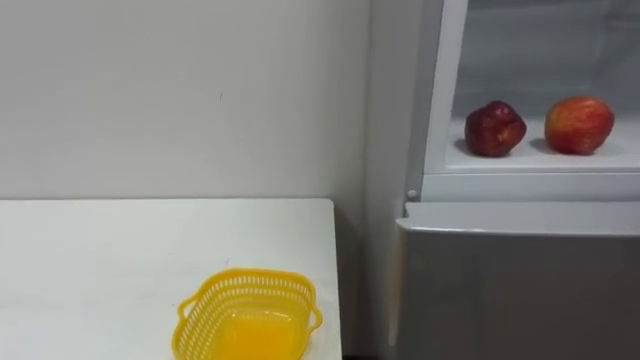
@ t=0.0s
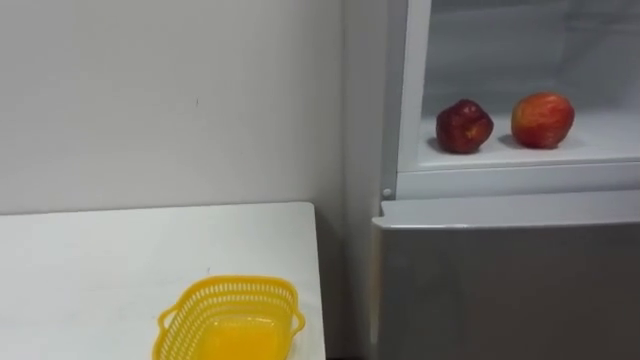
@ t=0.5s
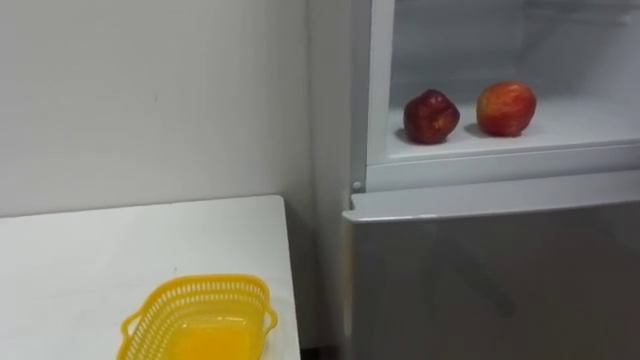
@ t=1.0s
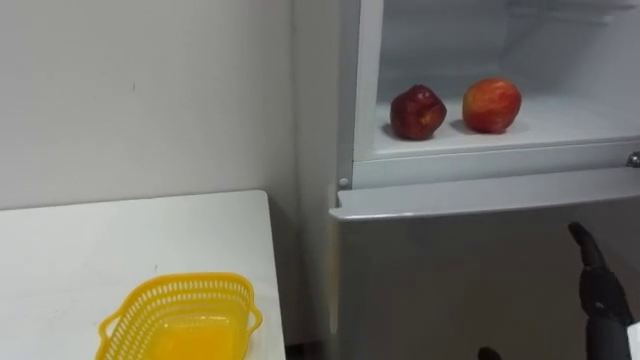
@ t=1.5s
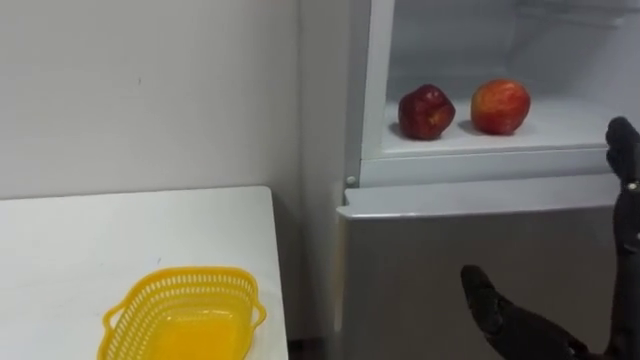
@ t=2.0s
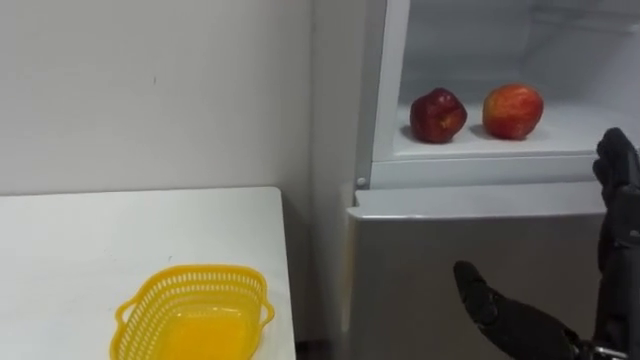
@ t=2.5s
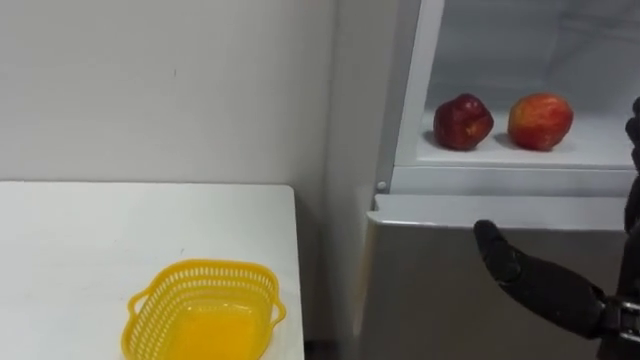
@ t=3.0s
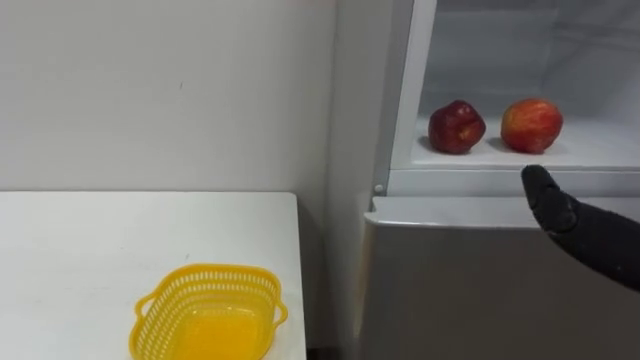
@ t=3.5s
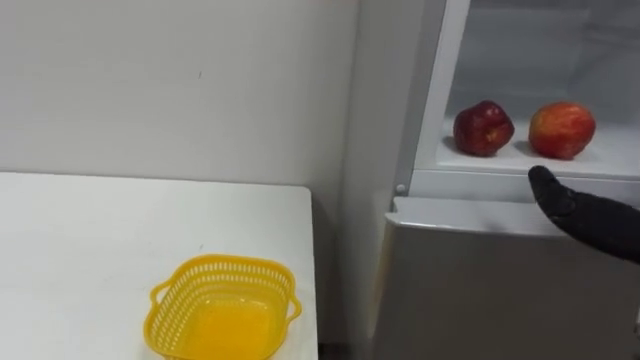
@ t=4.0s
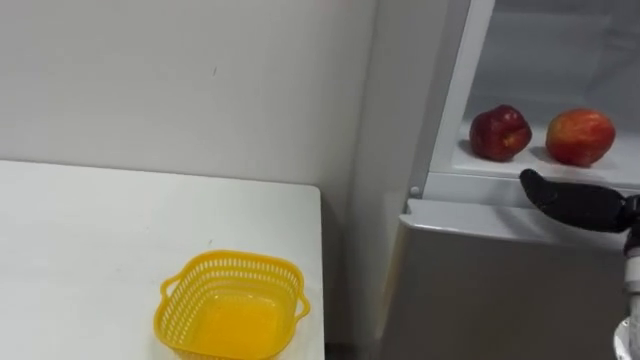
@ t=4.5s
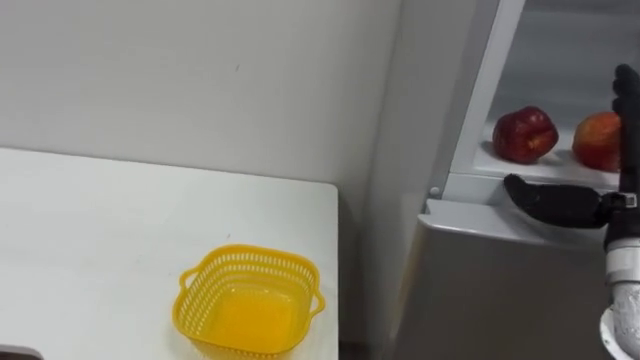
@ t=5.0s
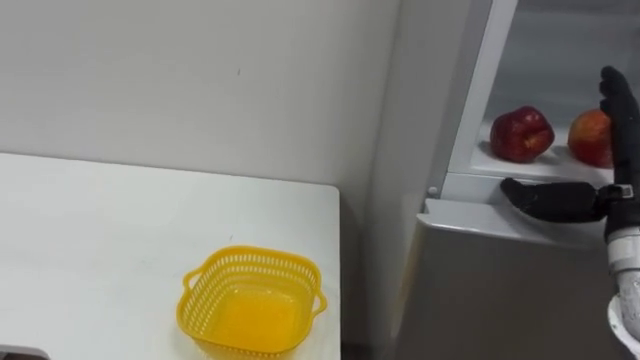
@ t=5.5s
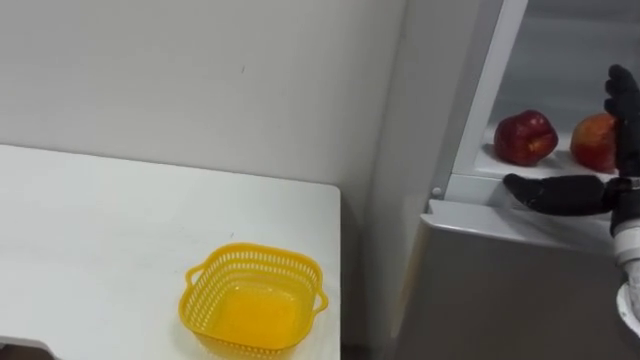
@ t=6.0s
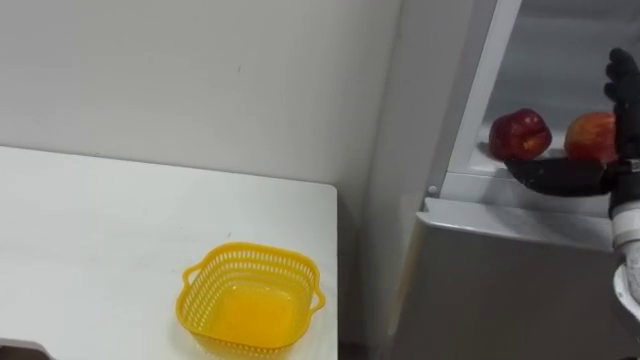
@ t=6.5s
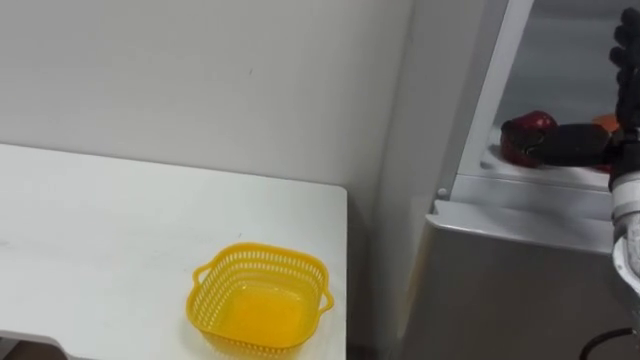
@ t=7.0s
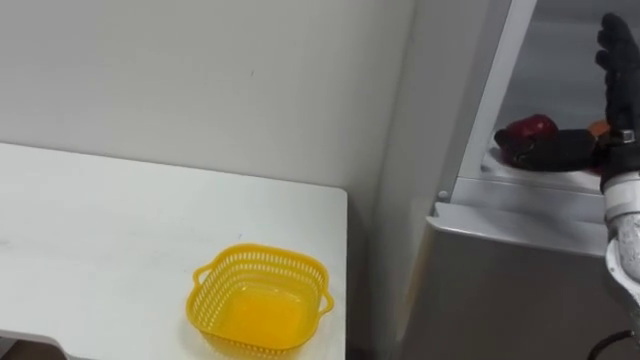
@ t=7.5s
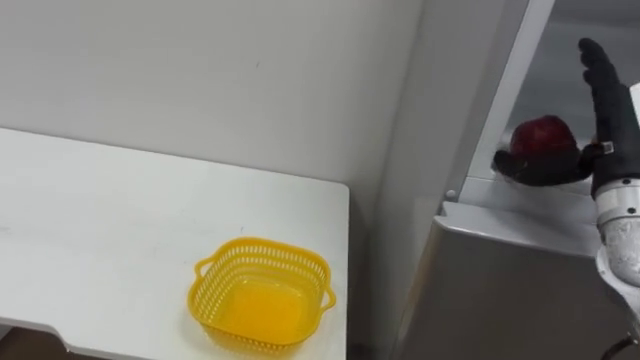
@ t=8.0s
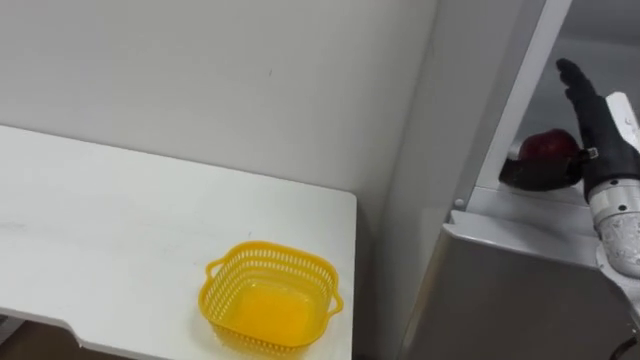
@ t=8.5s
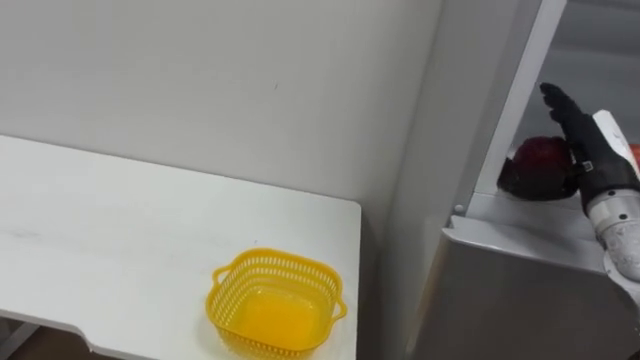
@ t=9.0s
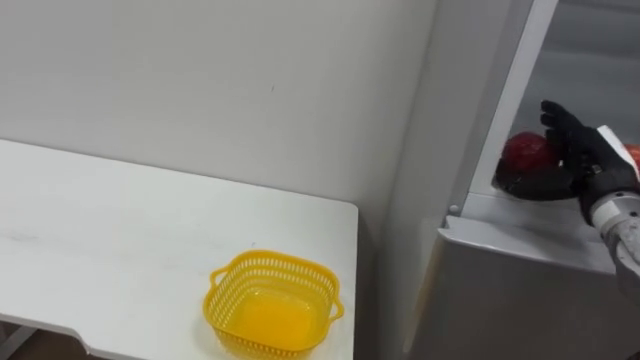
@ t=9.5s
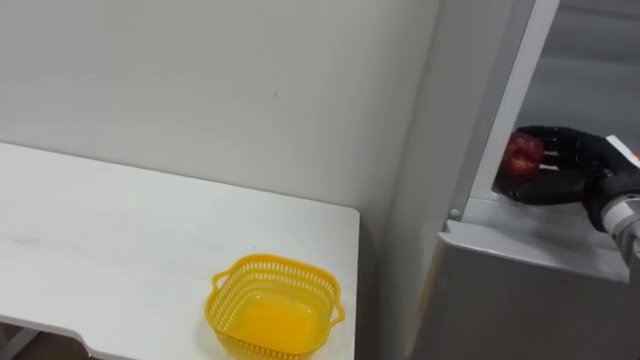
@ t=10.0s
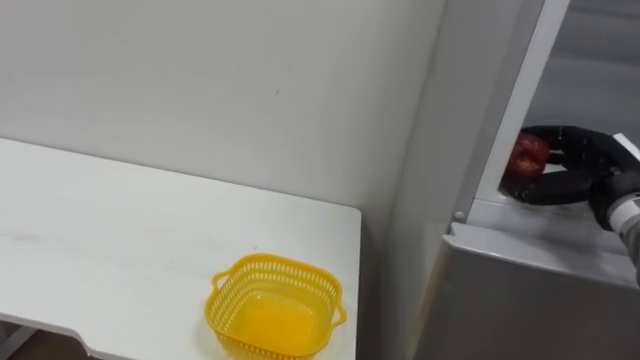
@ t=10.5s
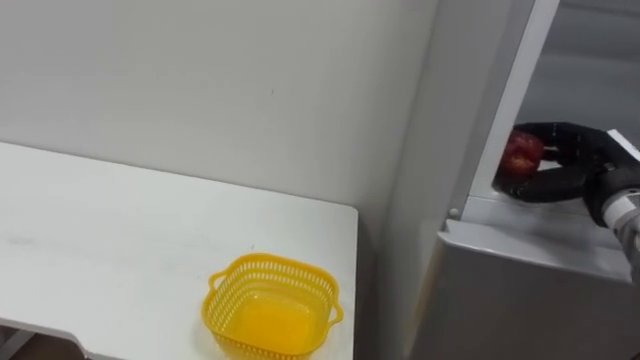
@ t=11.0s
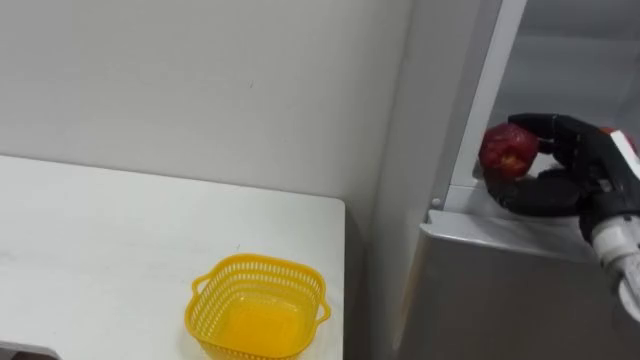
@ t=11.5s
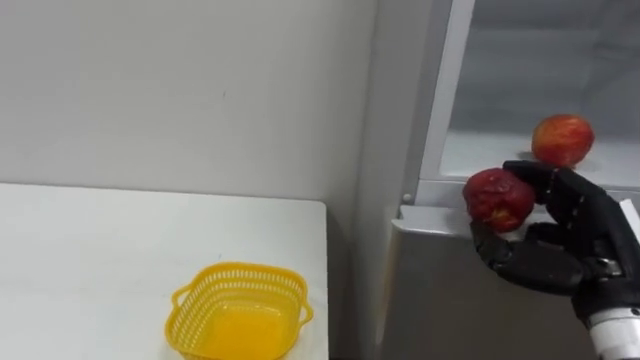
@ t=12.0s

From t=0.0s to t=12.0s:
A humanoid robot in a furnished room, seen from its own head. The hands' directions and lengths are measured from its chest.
Task of the whole recording: Open the refrigerator door, take out the apple and the pomegranate, place them in the fruit basket on the left, and close the refrigerator door.
From t=8.0s to t=10.0s: The right hand moves downward, about 5 cm.
From t=10.0s to t=12.0s: The right hand moves backward and to the left, approximately 15 cm.

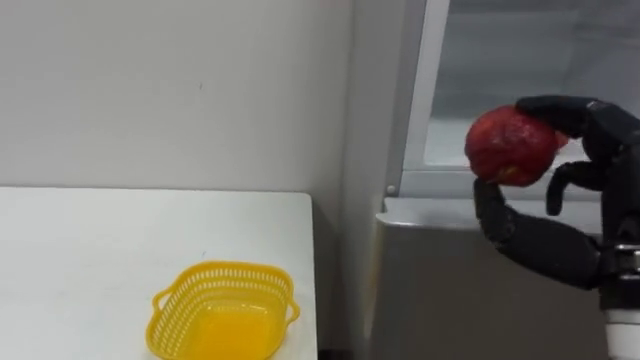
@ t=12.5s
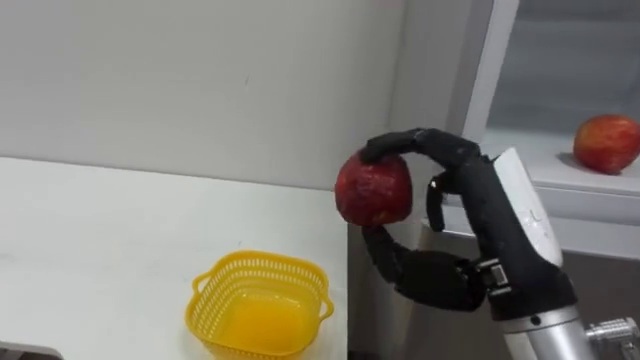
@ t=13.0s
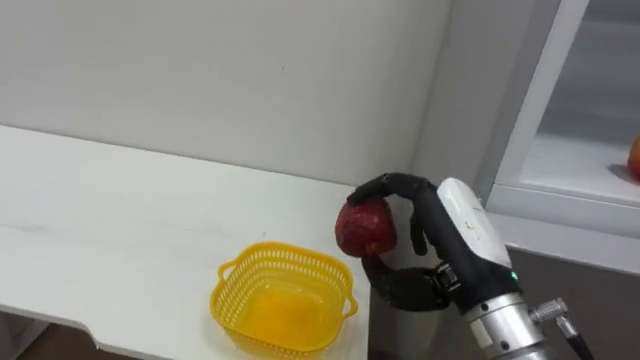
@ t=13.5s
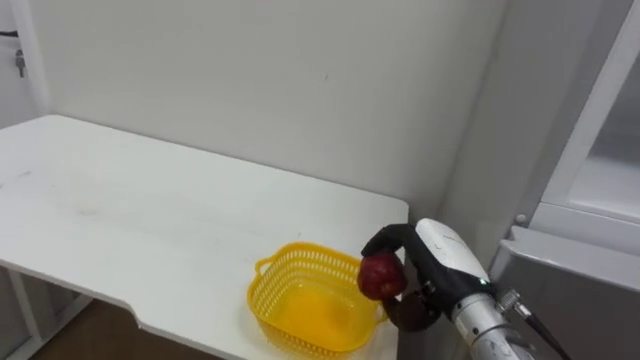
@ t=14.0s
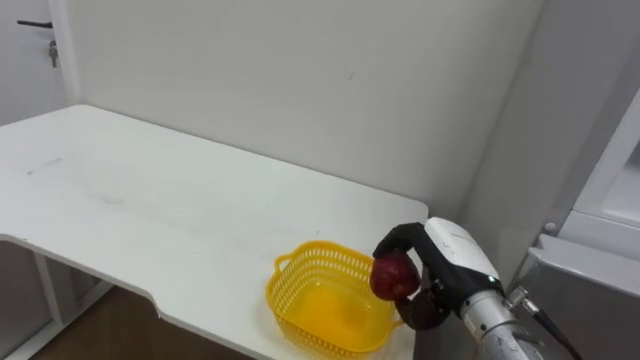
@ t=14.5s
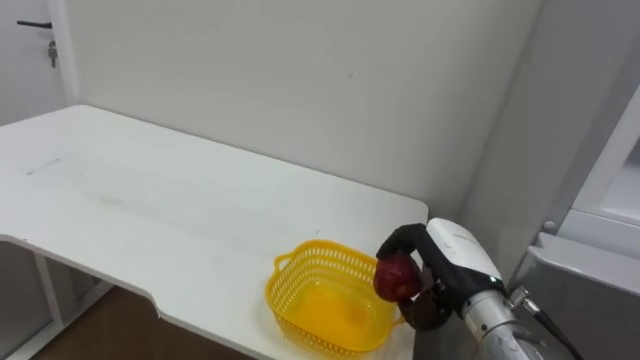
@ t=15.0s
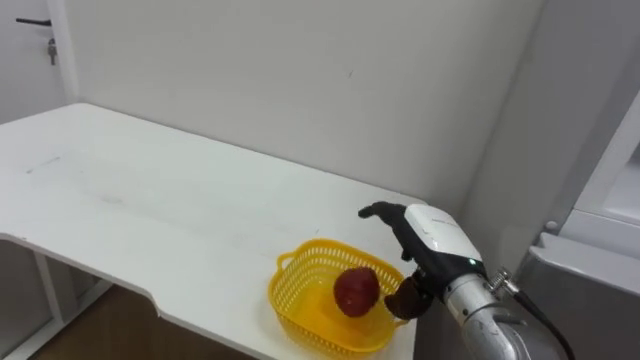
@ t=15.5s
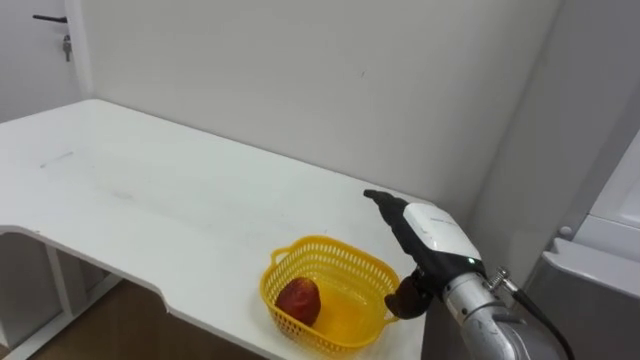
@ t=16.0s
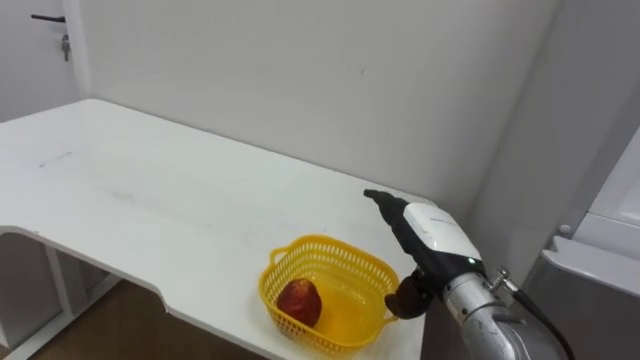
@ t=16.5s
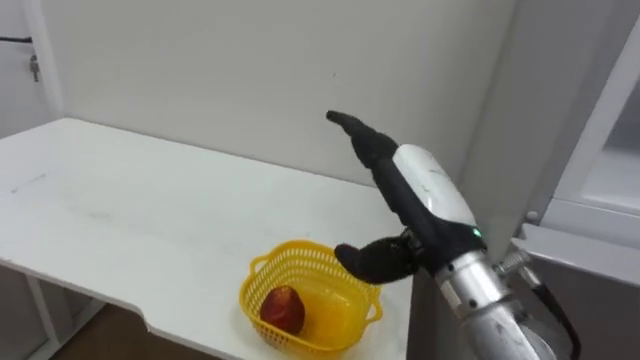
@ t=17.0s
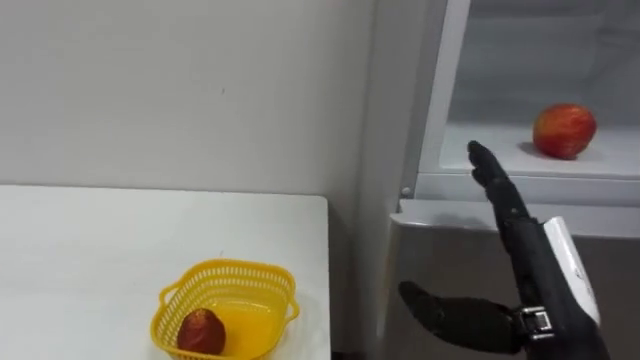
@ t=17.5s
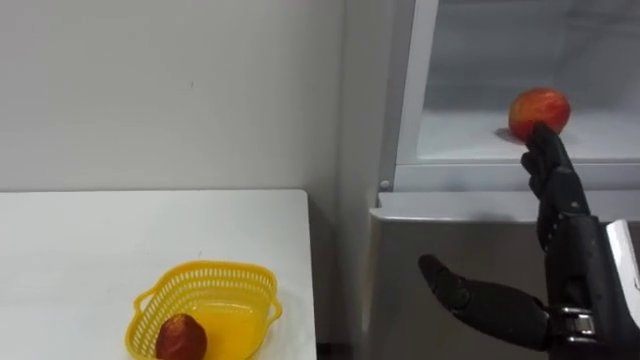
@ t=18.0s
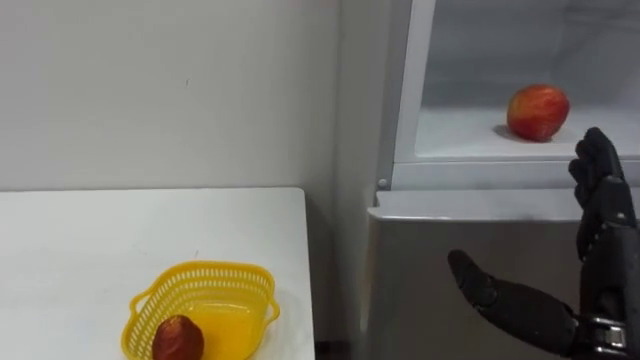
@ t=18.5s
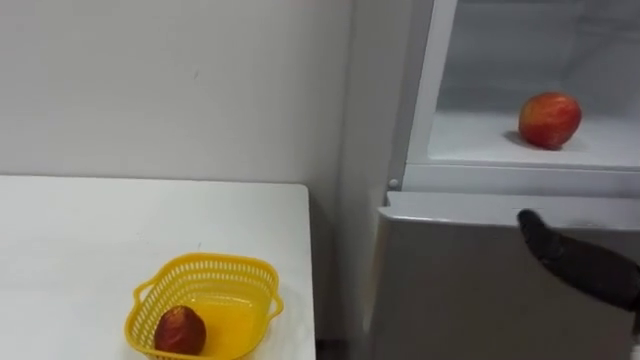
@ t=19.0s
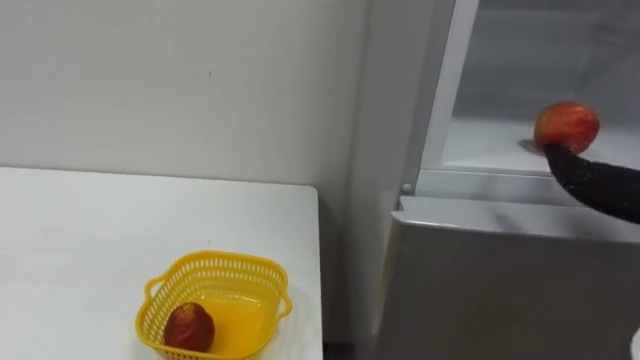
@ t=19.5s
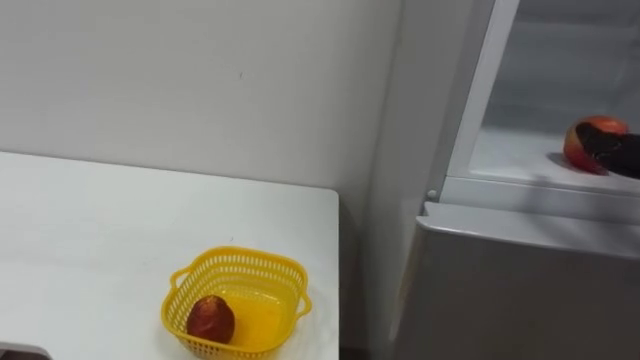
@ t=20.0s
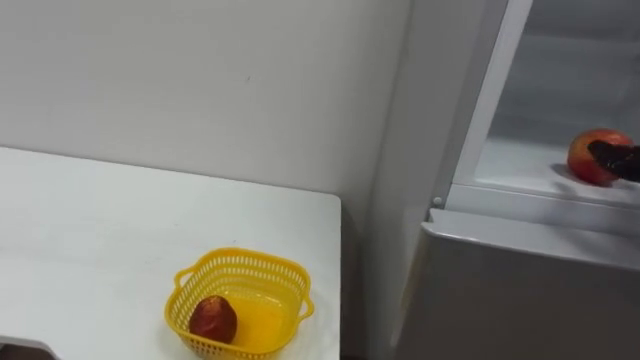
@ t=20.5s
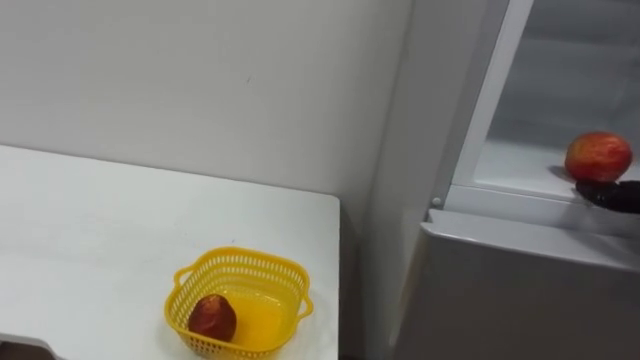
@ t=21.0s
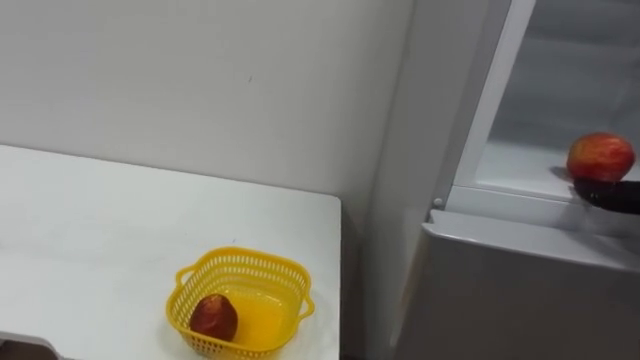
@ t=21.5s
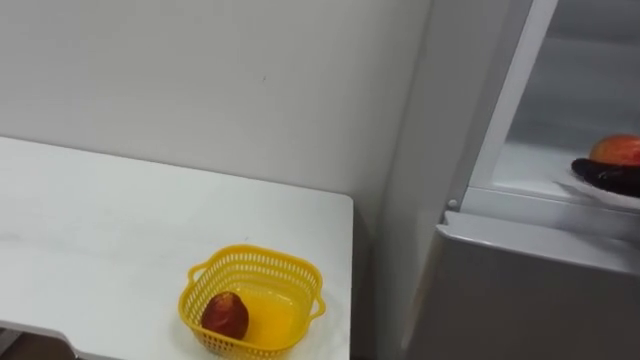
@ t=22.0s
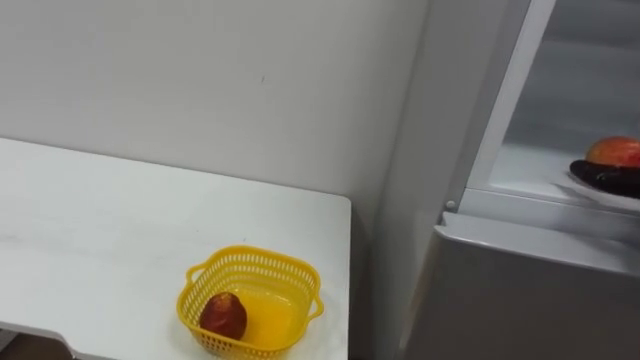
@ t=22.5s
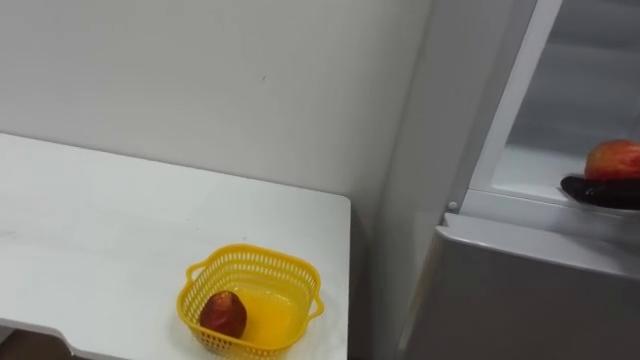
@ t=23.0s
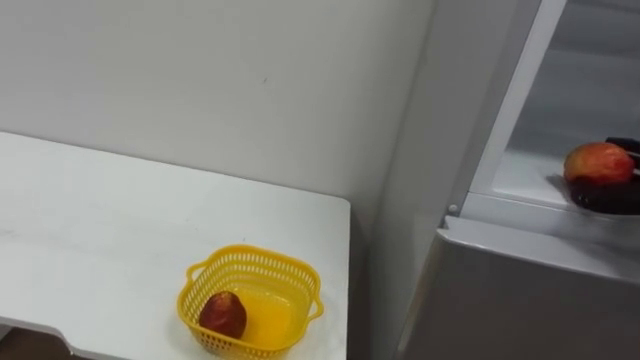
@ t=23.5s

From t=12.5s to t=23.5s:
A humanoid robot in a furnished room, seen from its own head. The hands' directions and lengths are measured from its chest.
Task of the whole recording: Open the refrigerator door, take out the apple and the pomegranate, place them in the fruit basket on the left, and close the refrigerator door.
From t=12.5s to t=14.5s: The right hand heads downward, forward and to the left, covering approximately 20 cm.
From t=14.5s to t=16.0s: The right hand opens up.
From t=16.0s to t=18.0s: The right hand travels backward, to the right and upward by approximately 15 cm.
